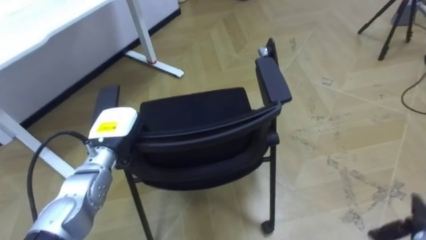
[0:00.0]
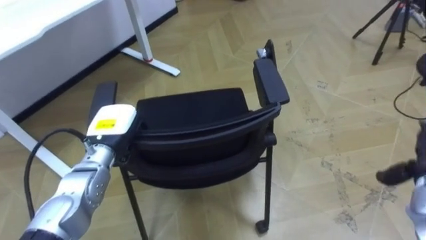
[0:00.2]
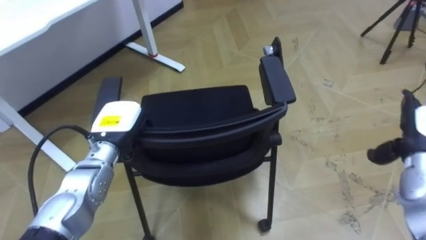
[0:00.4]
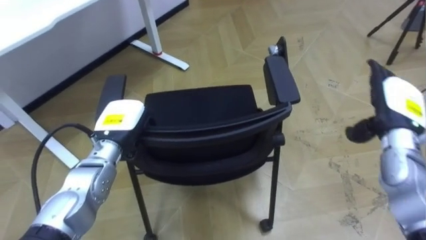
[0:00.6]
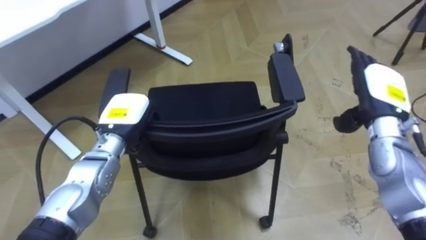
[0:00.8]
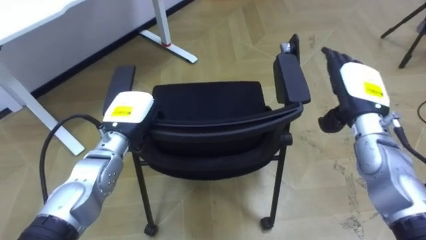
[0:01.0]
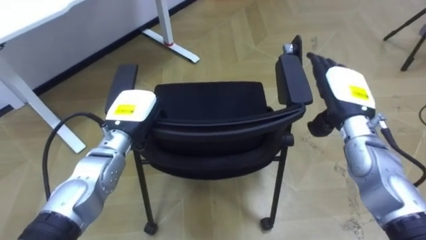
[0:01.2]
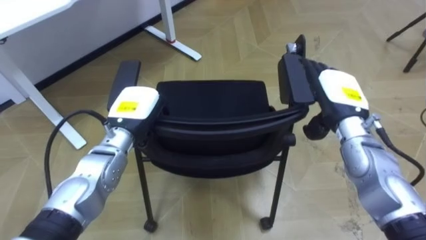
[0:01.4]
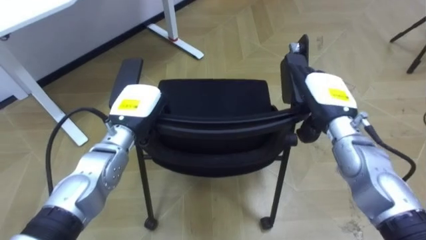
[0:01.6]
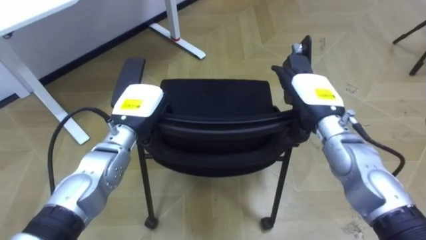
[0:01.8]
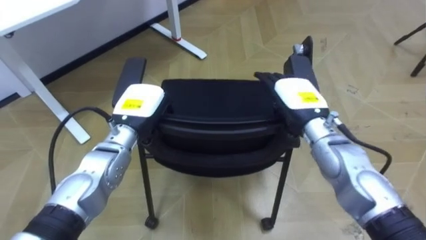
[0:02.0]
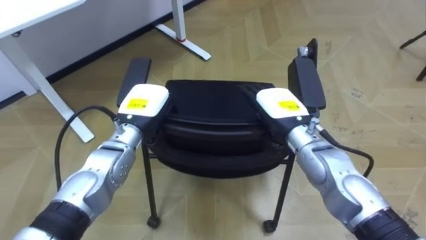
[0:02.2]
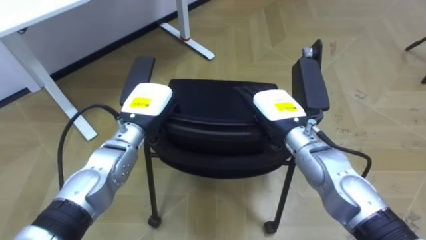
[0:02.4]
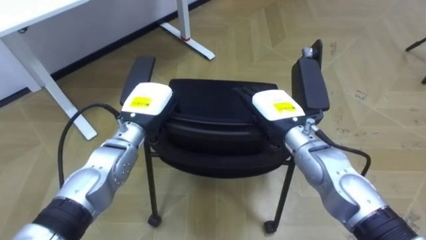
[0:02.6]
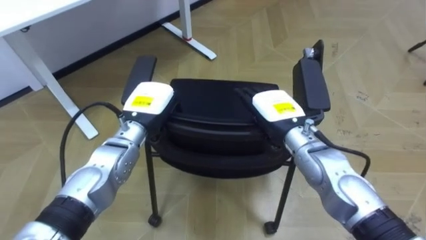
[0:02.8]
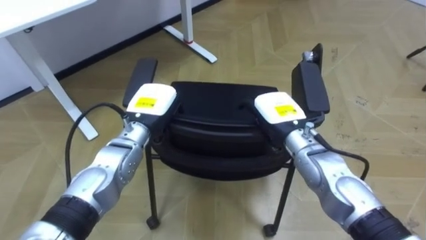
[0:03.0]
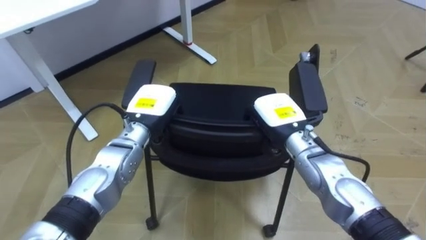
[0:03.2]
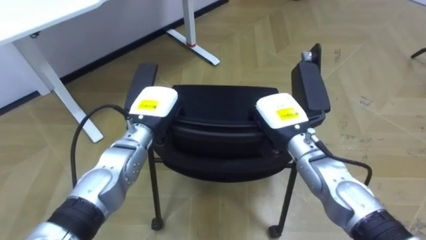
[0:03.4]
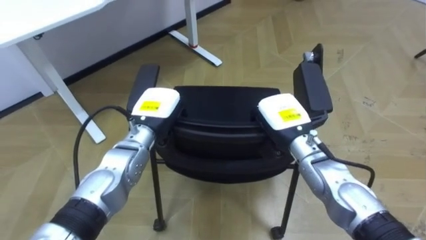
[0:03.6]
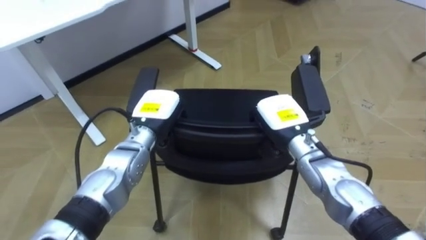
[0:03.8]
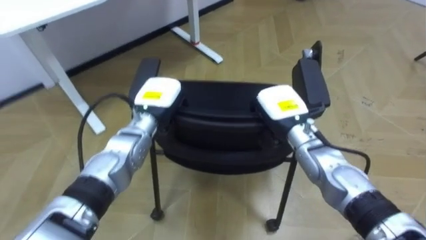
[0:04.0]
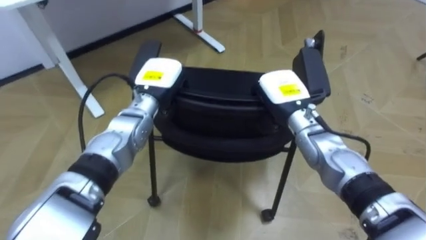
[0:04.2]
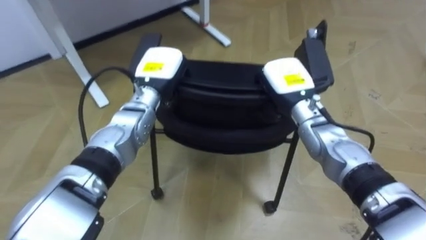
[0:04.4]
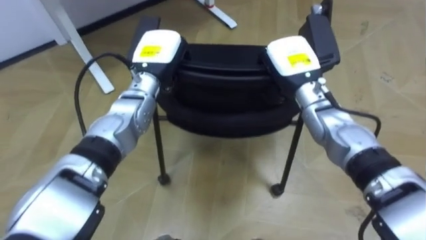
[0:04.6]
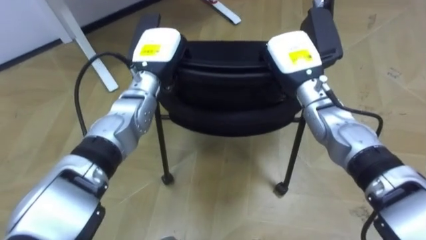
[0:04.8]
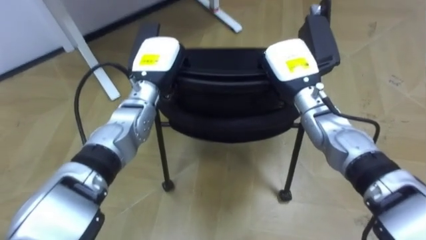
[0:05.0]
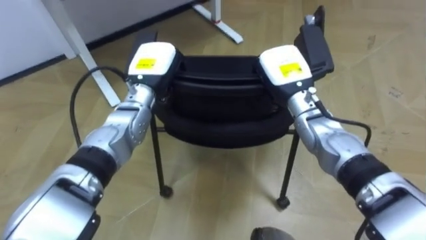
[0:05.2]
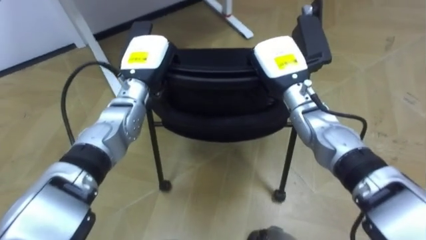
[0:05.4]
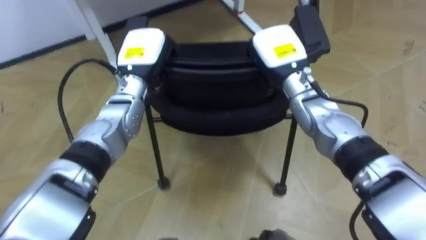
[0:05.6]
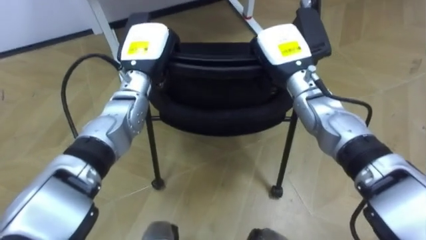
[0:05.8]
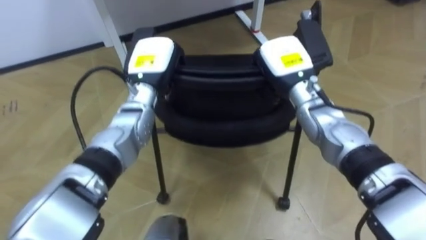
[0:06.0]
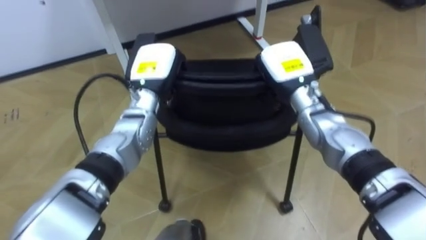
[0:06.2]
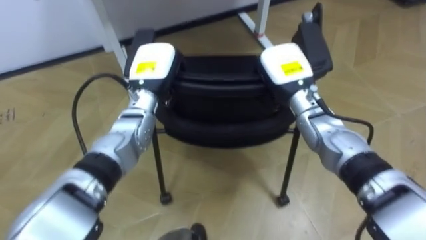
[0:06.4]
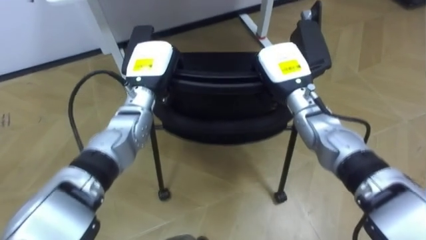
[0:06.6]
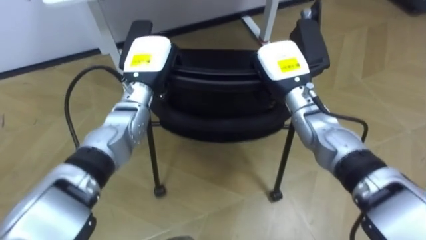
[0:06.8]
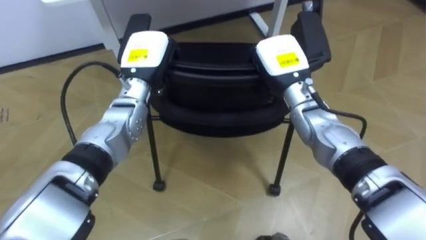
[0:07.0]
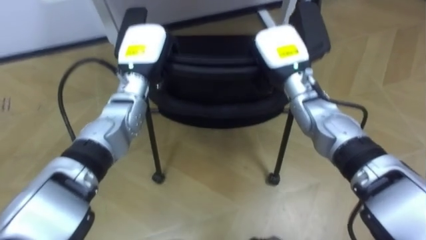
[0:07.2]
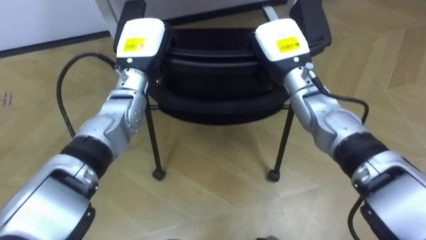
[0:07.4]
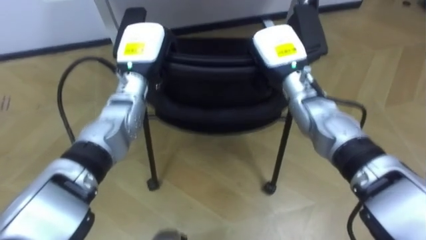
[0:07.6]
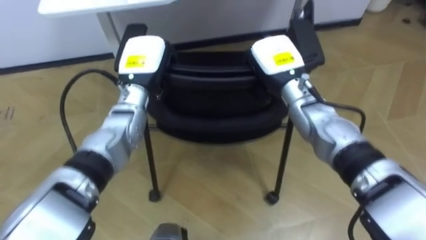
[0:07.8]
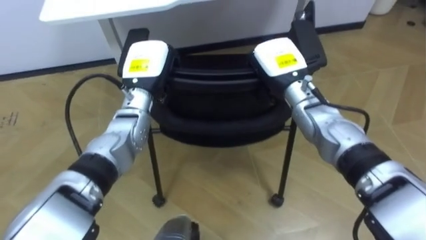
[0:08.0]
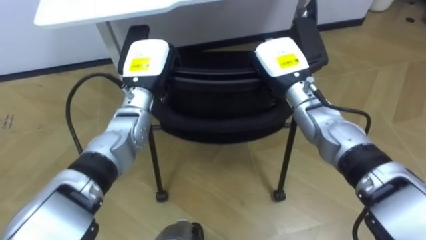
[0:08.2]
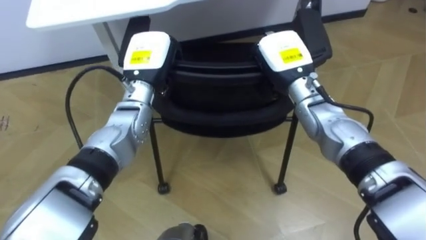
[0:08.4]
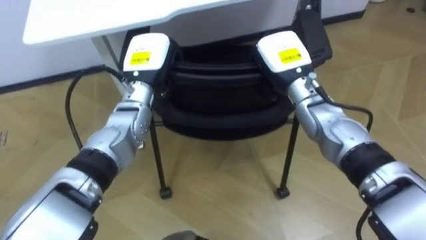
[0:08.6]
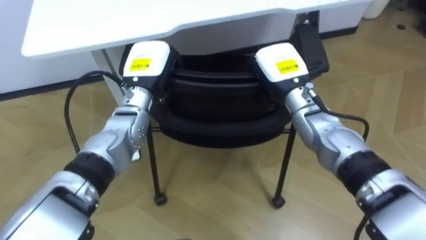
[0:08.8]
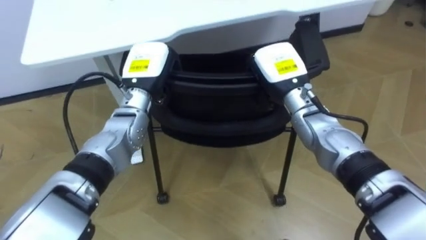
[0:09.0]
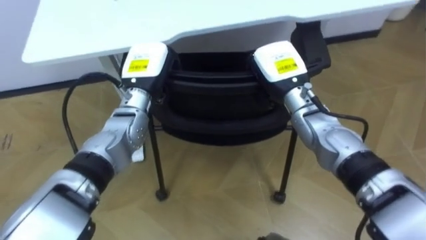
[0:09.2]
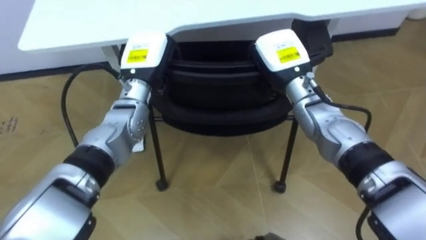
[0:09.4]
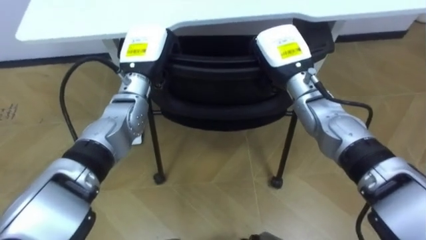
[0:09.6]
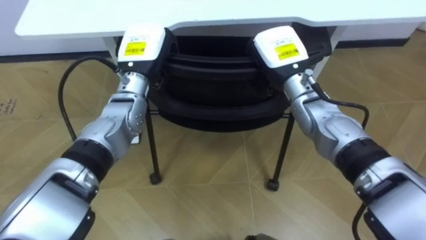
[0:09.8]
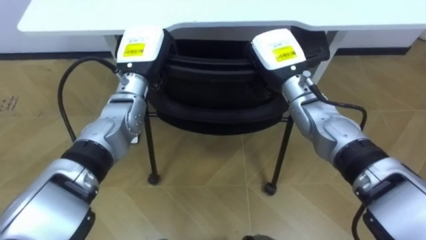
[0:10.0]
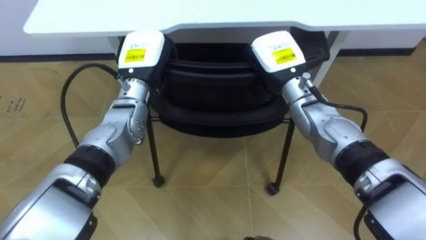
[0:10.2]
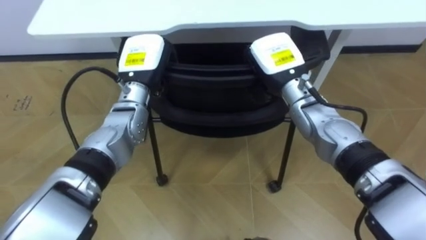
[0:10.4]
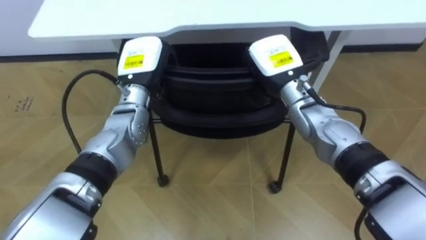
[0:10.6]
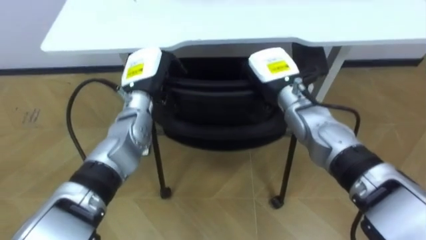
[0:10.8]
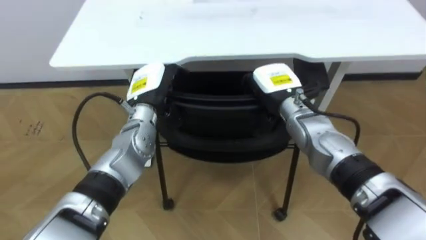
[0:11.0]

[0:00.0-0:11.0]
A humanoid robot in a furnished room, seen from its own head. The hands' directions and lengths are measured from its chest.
Task of the whole recording: Push the chair under the table.
0:00.0 to 0:01.6: The left hand ends up about 5 cm from where it was. The right hand moves to the left, forward and upward, approximately 30 cm.
0:01.6 to 0:03.2: The right hand goes approximately 10 cm to the left, and closes its fingers.
0:03.2 to 0:04.8: The two hands go some 10 cm upward and forward.
0:09.4 to 0:11.0: Both hands travel together downward, approximately 5 cm. The right hand opens. Meanwhile the left hand opens up.

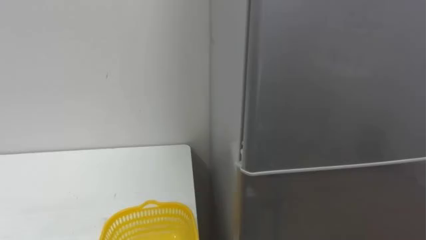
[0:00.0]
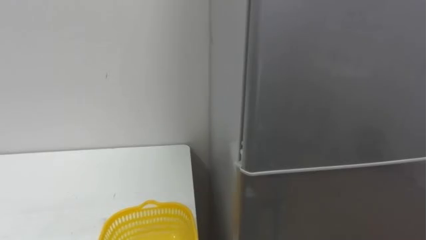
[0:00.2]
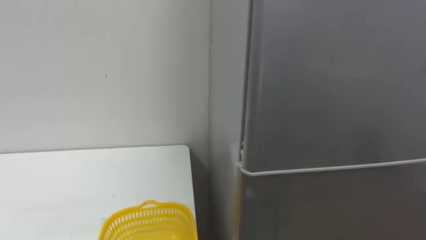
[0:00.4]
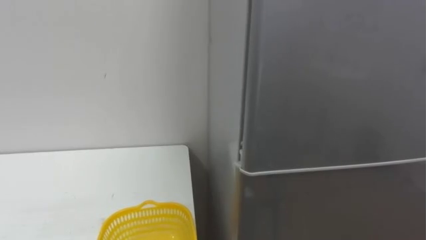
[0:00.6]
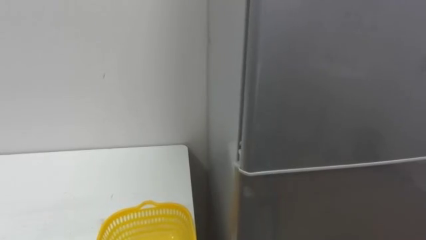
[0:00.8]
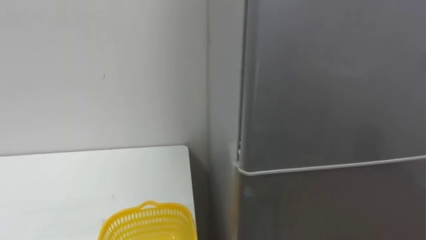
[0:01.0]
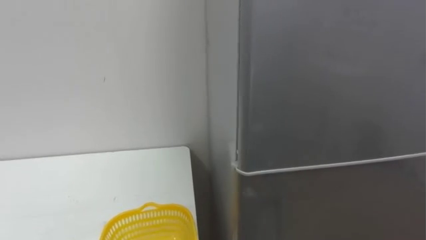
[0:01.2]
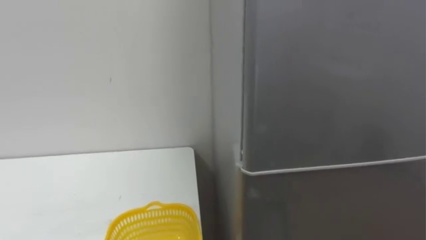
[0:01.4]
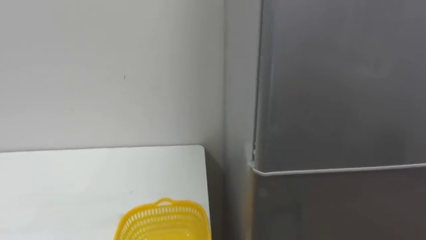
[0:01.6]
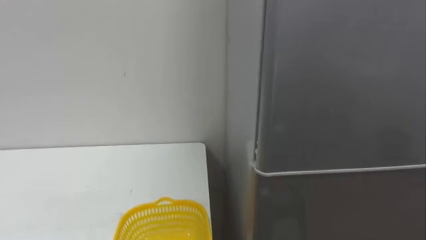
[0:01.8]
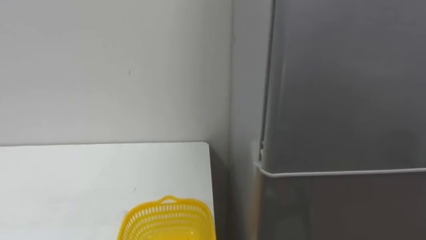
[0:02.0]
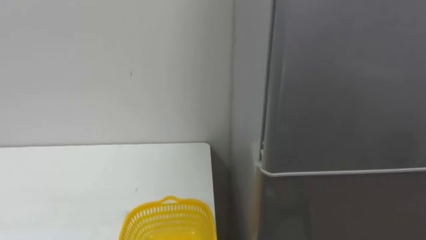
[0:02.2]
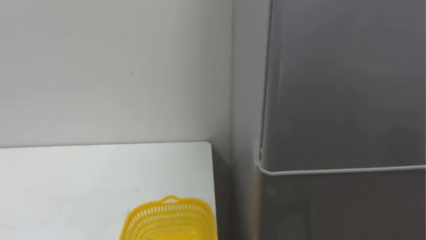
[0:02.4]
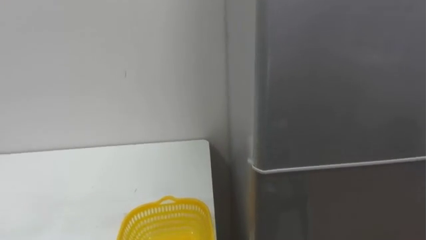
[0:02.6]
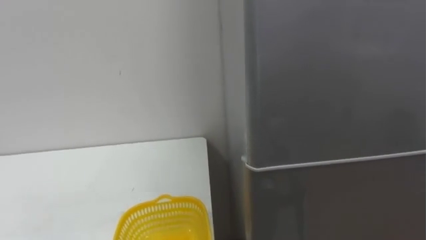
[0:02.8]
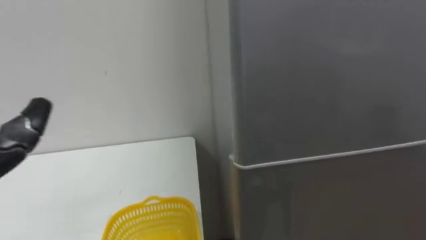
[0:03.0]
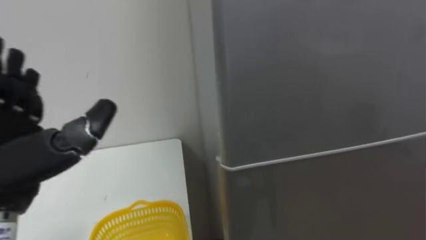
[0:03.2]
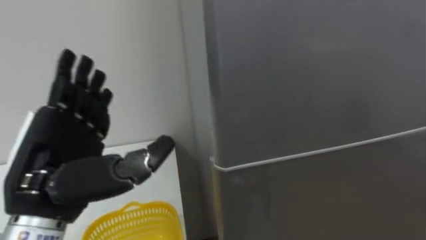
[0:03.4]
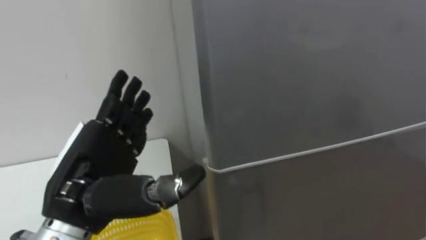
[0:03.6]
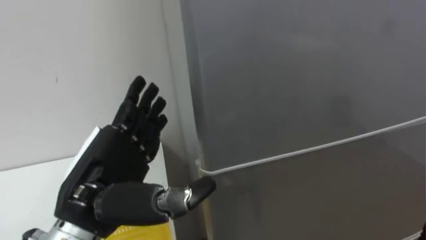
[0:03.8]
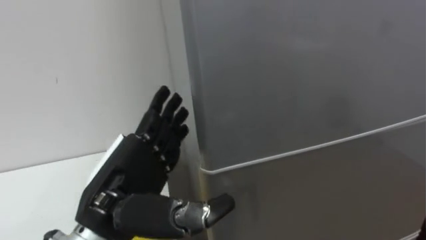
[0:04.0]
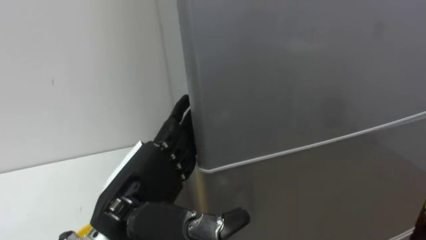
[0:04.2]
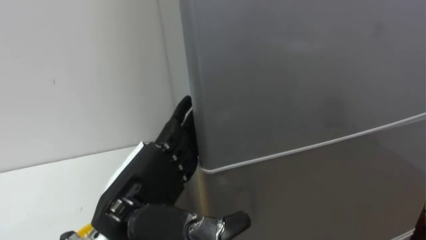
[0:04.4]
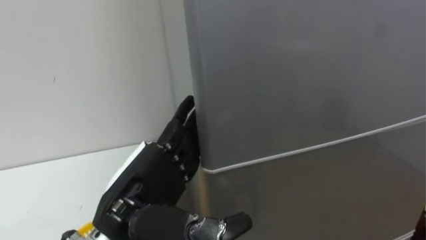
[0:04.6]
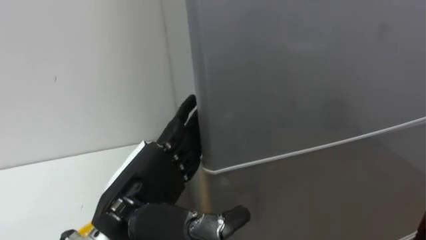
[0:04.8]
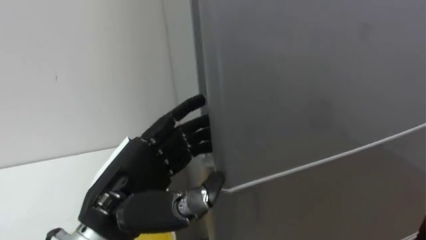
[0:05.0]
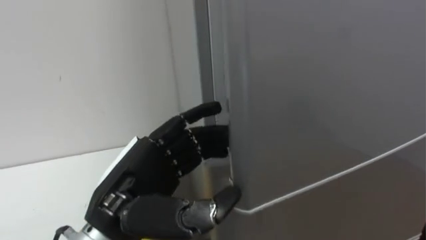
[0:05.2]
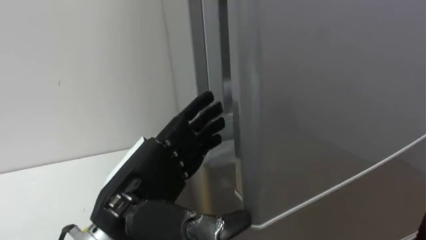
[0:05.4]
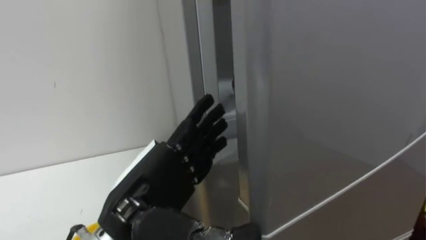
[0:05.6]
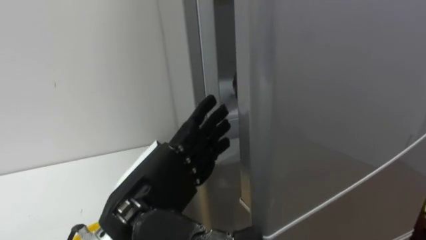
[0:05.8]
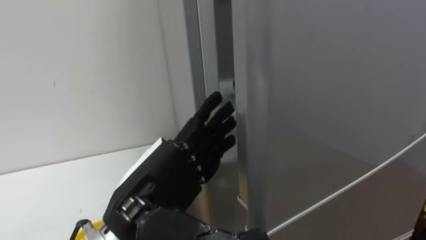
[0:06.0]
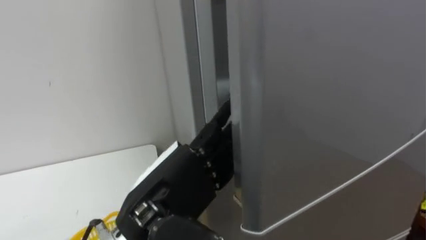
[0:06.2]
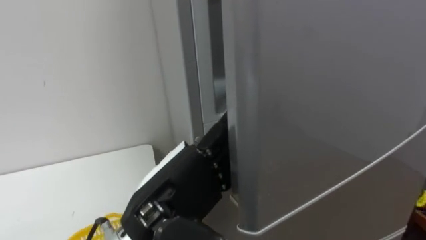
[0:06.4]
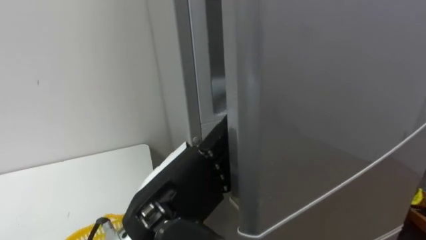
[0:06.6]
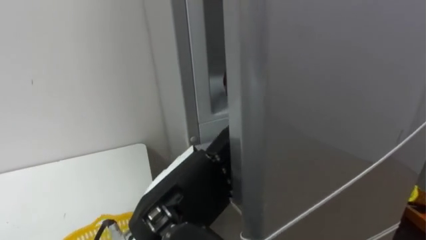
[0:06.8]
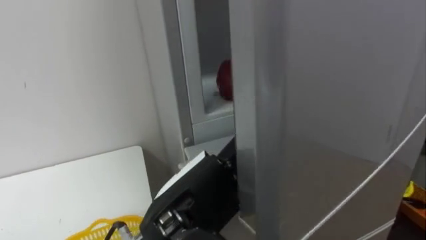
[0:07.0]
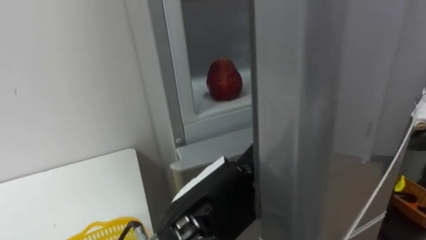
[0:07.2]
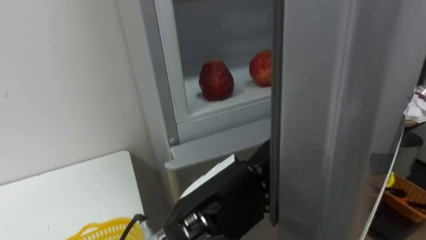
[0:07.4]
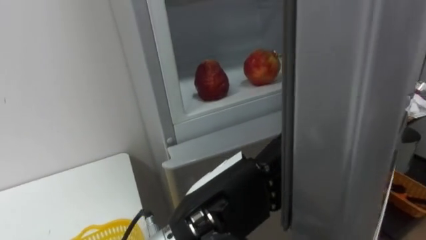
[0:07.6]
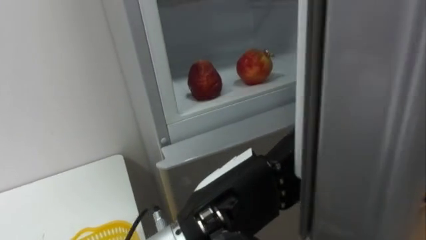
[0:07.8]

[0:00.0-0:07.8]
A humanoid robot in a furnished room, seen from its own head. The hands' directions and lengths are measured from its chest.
Task of the whole recording: Open the refrigerator door, take out the apple and the pomegranate, place them in the fruit basket on the left, and close the refrigerator door.
0:06.2 to 0:07.8: The left hand travels to the right by about 5 cm.
